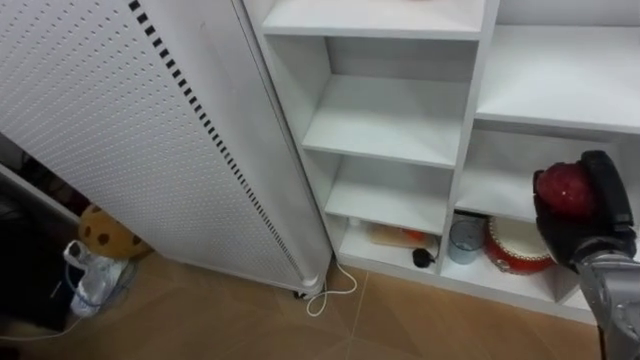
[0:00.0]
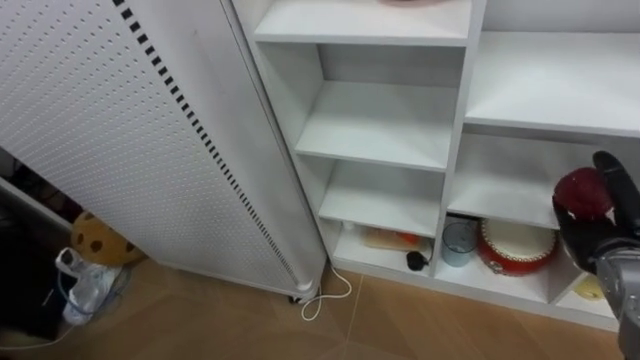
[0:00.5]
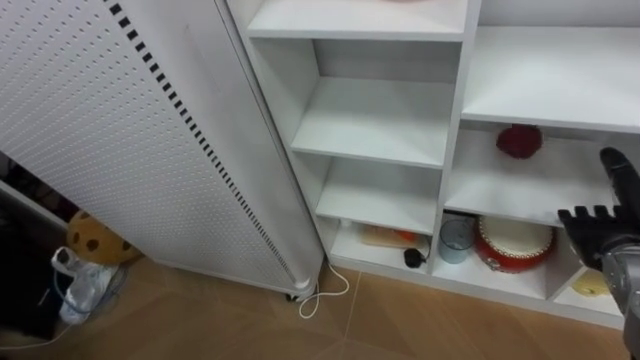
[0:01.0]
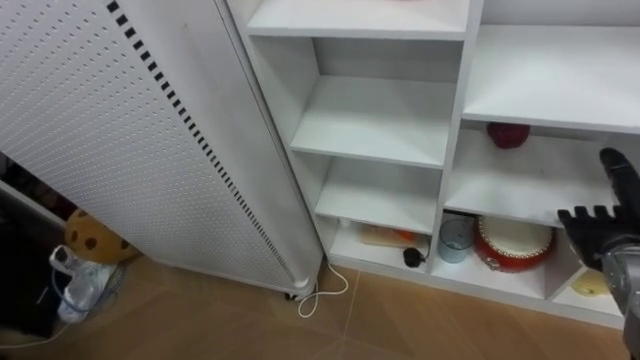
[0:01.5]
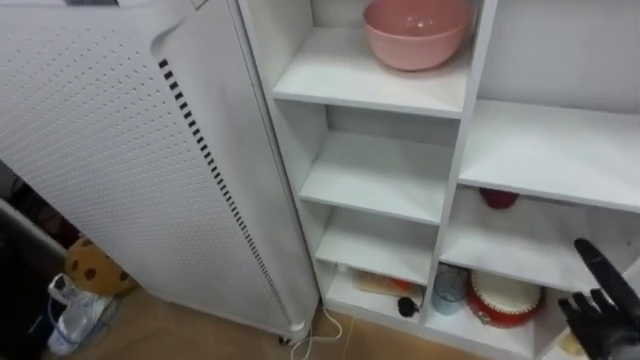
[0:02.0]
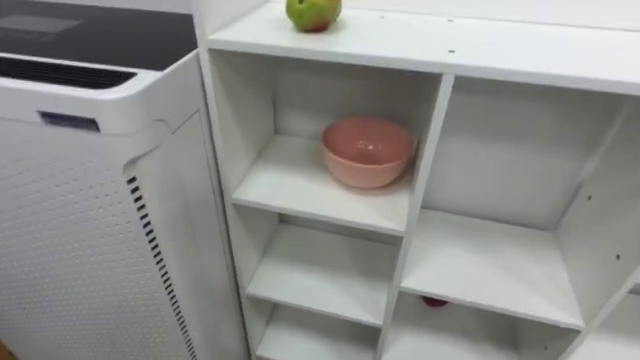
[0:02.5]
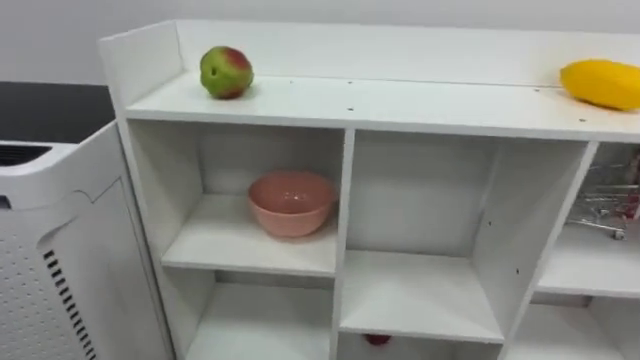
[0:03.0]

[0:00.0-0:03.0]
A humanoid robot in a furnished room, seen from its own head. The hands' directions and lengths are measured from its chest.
Task of the whole recording: Put the apple in the cell in the second column from the left and the second row from the top.
0:00.0 to 0:01.5: The right hand opens up.

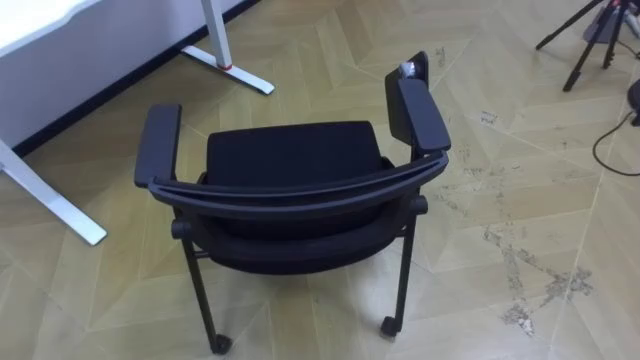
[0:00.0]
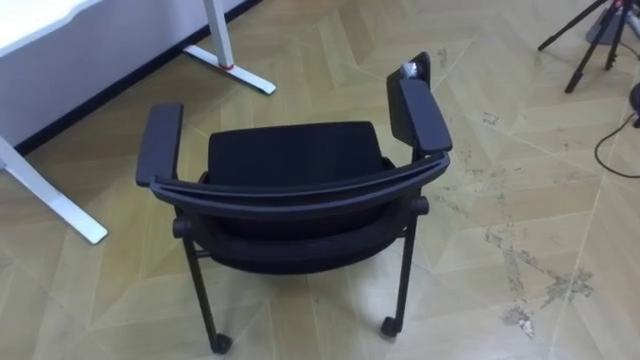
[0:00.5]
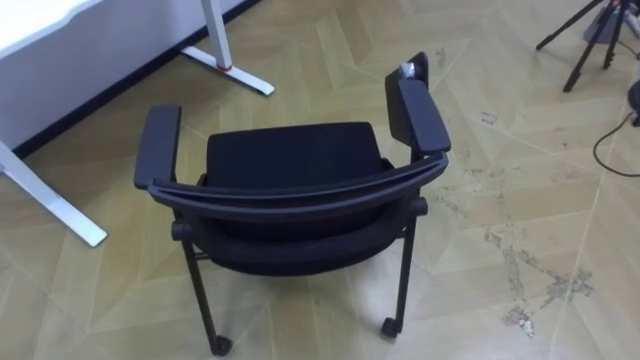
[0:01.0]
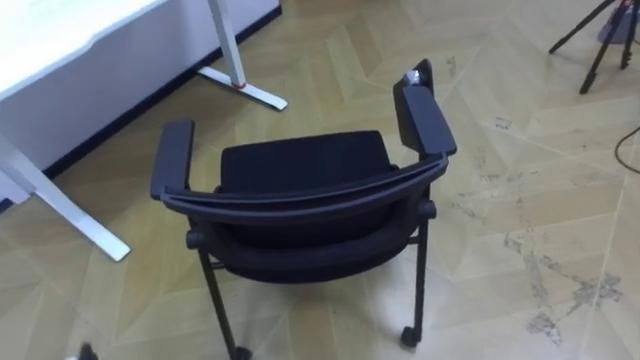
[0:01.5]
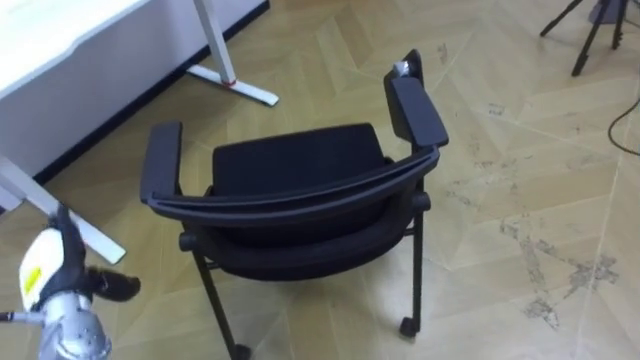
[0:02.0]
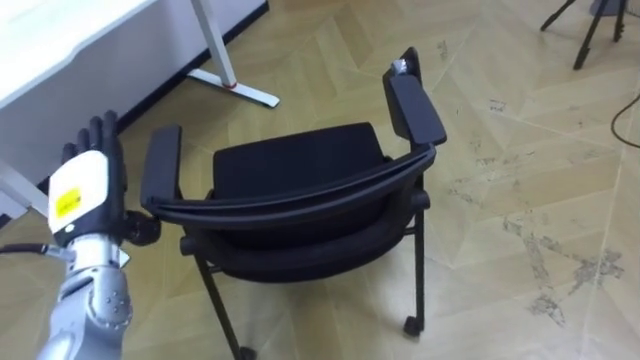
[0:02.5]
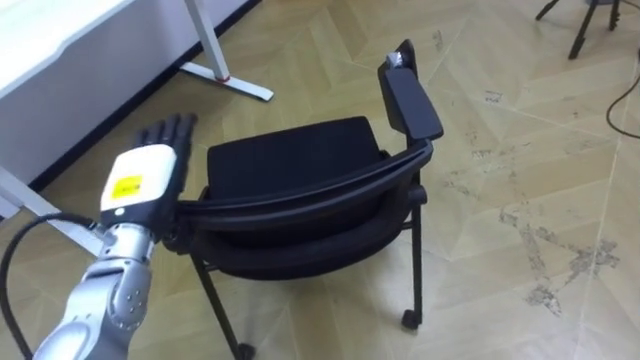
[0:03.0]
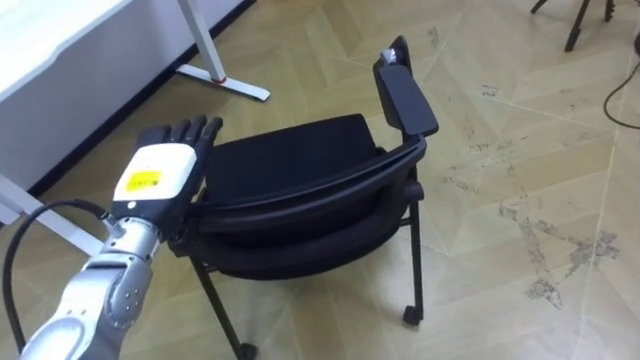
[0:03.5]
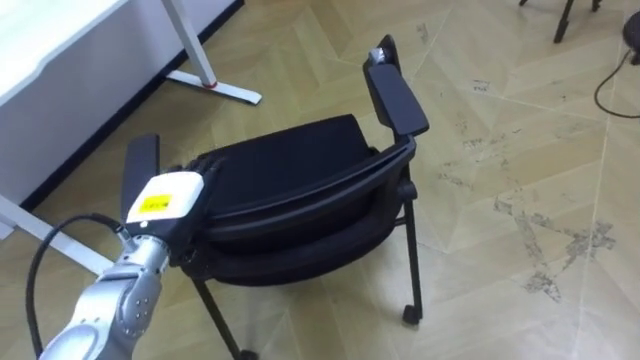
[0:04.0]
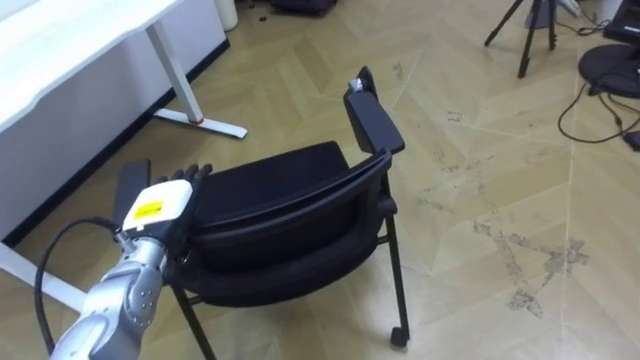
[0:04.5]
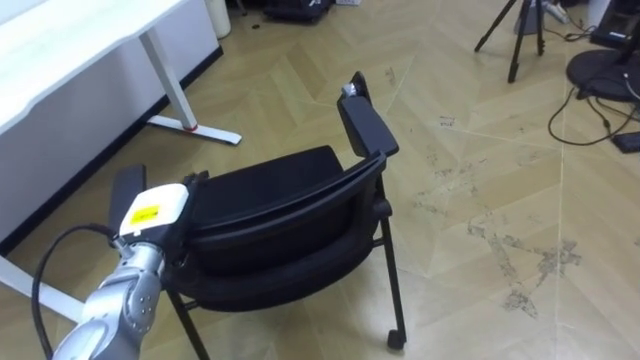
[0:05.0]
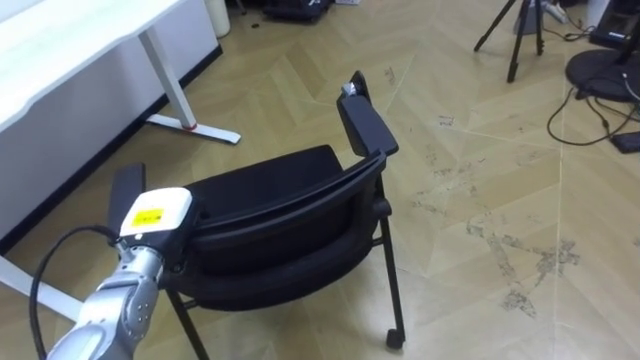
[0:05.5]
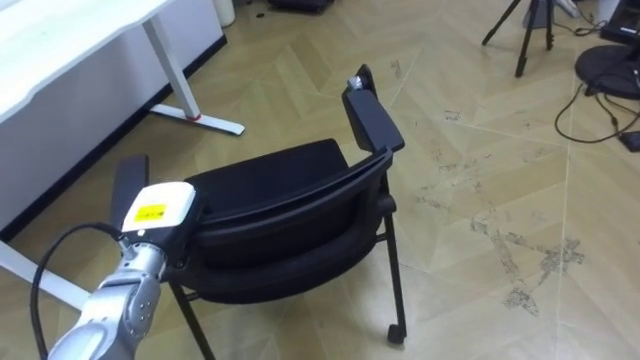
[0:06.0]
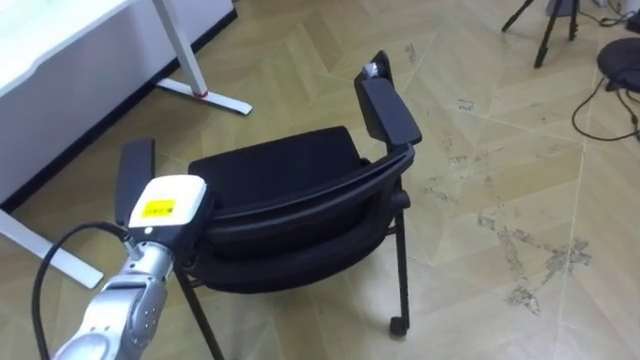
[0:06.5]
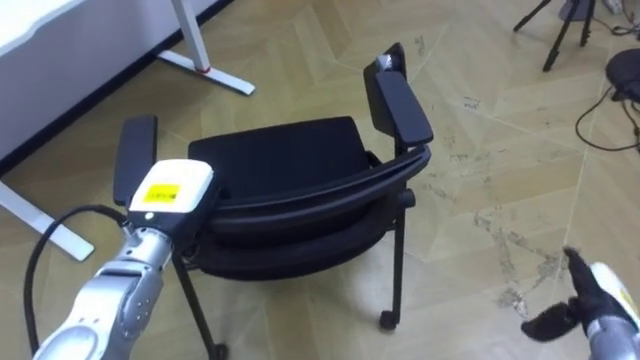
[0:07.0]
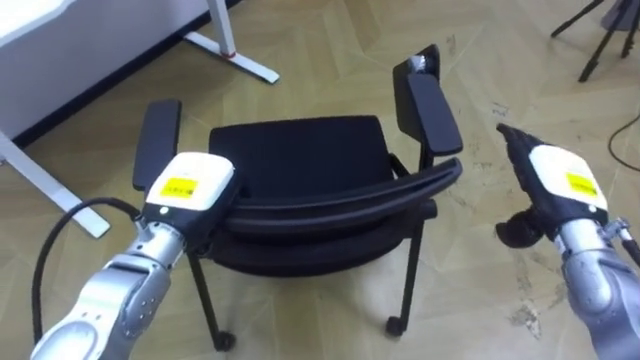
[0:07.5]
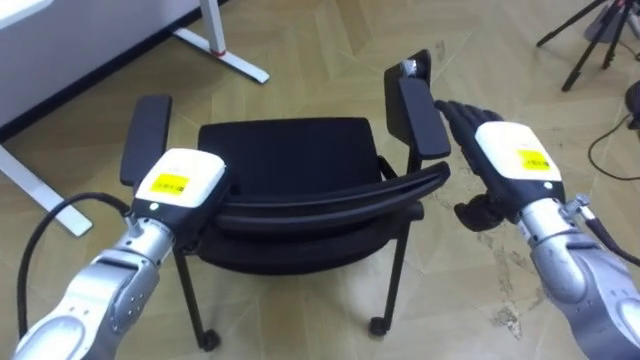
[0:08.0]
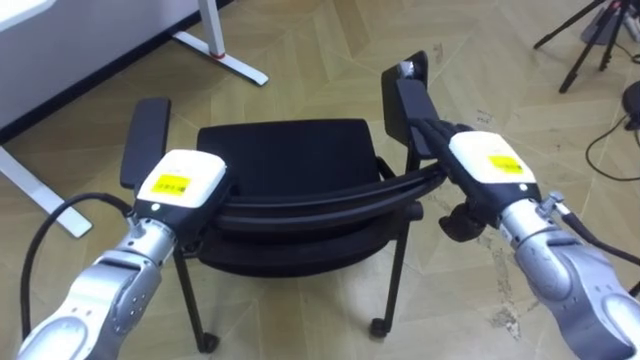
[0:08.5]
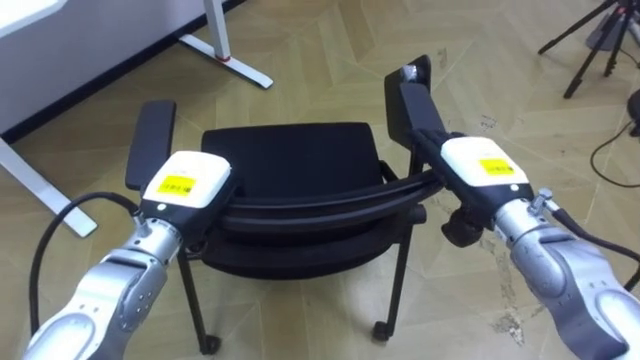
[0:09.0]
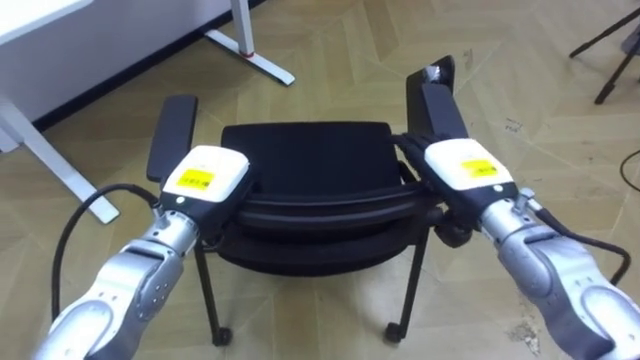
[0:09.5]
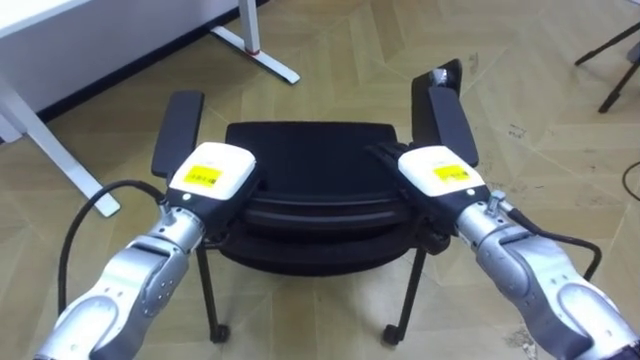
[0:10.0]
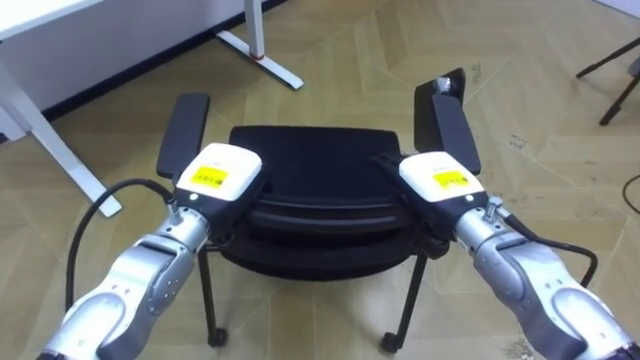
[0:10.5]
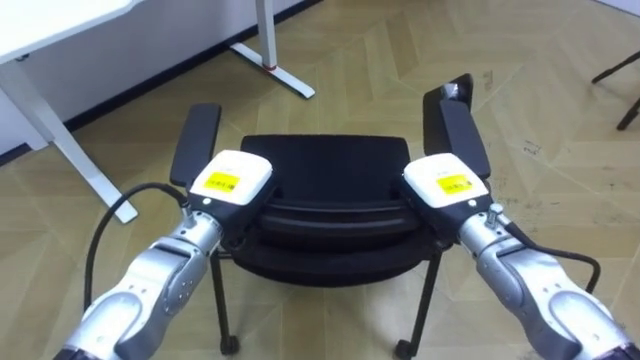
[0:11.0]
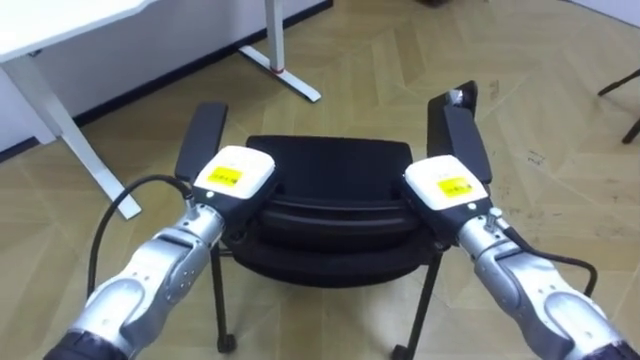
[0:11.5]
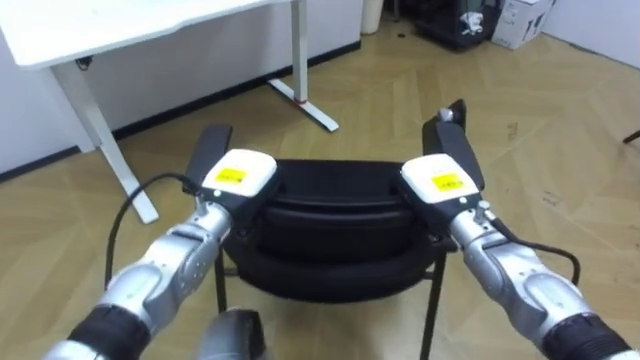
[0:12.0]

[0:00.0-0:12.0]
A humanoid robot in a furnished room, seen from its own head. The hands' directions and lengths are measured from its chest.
Task of the whole recording: Push the chair under the table.
0:02.0 to 0:04.0: The left hand moves to the right, forward and upward, roughly 15 cm.
0:04.0 to 0:06.0: The left hand closes its fingers.
0:06.0 to 0:08.0: The left hand heads upward, covering about 5 cm.
0:08.0 to 0:10.0: The right hand goes some 10 cm to the left.
0:10.0 to 0:12.0: The left hand shifts by approximately 5 cm; the right hand shifts approximately 5 cm downward, and closes its fingers.

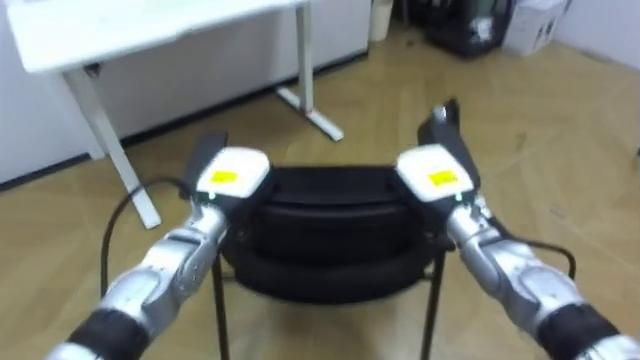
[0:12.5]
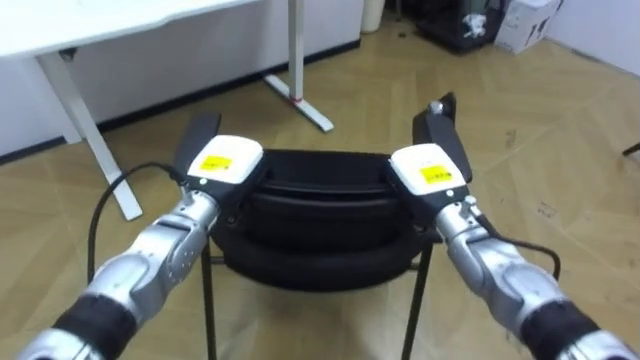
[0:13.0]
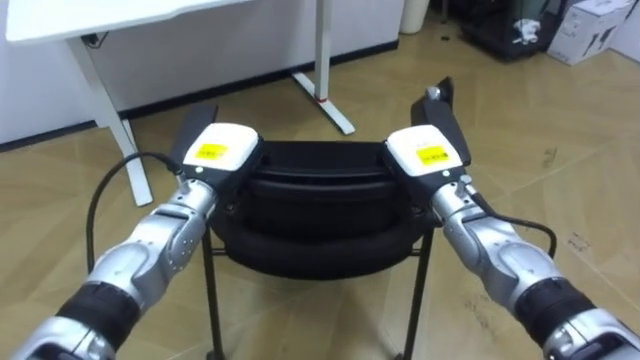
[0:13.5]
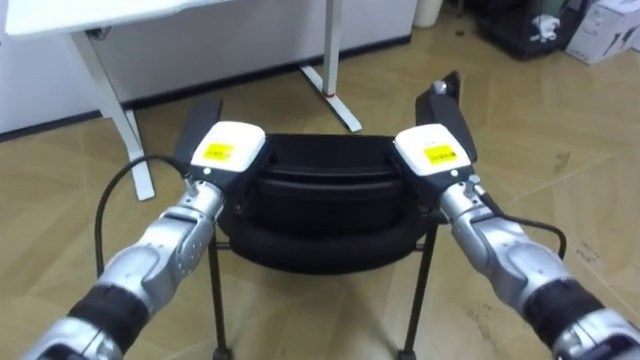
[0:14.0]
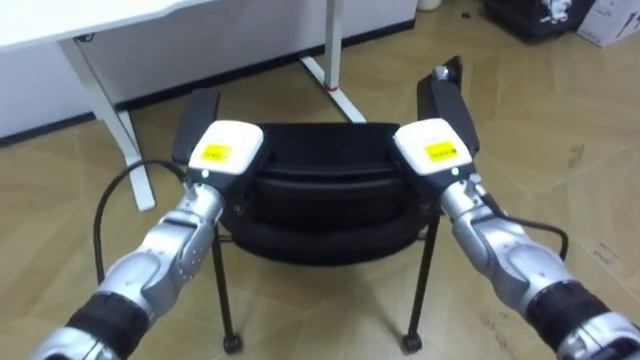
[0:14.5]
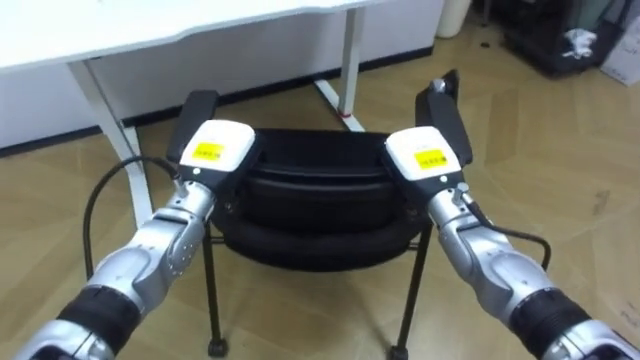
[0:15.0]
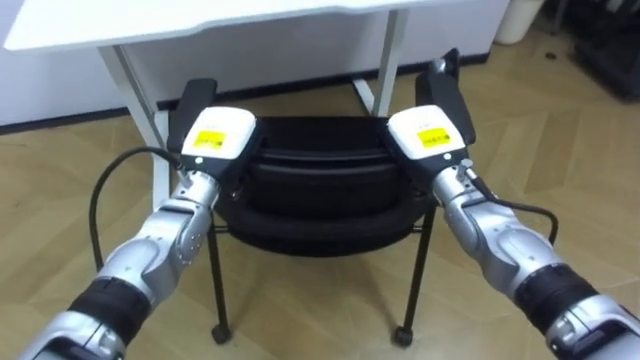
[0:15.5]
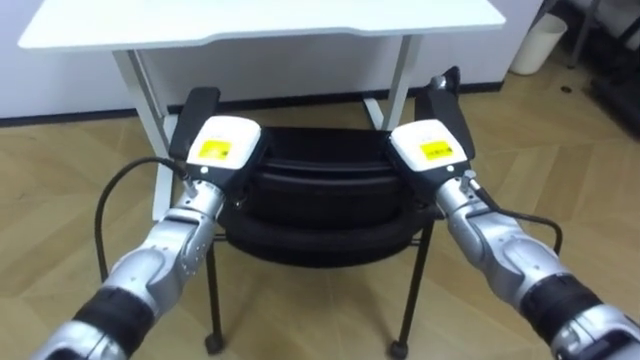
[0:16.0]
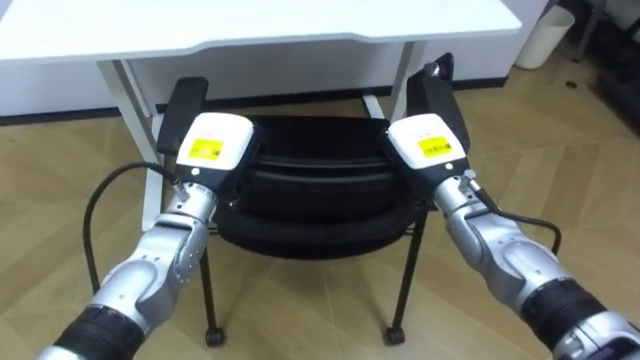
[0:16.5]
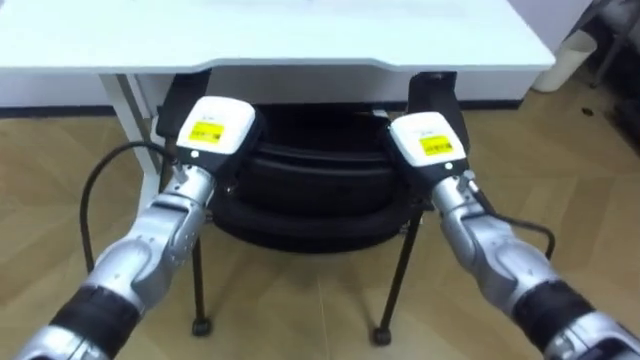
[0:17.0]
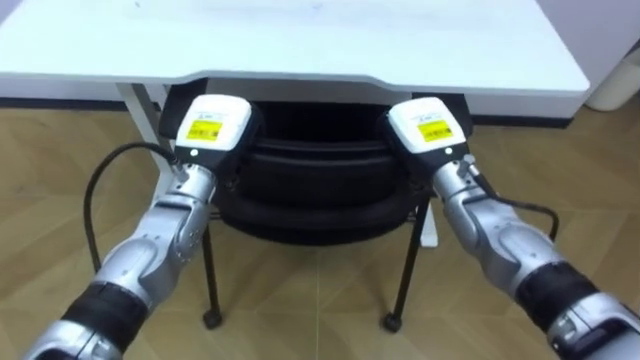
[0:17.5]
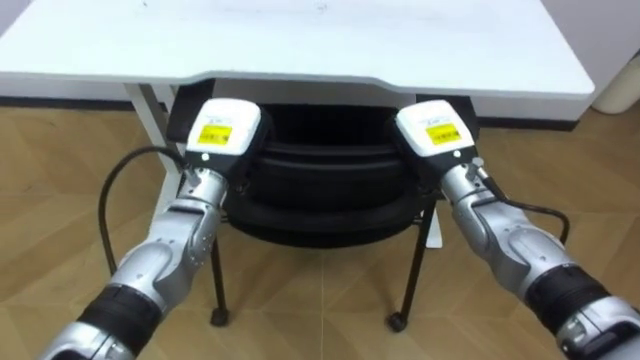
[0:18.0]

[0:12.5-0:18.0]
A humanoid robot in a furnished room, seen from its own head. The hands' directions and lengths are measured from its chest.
Task of the whole recording: Push the chair under the table.
0:14.5 to 0:16.0: The robot's body swings approximately 15 degrees to its left.
0:16.0 to 0:18.0: The robot faces about 15 degrees further to its left.
